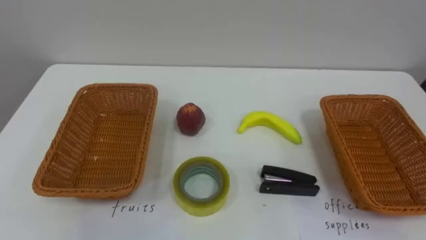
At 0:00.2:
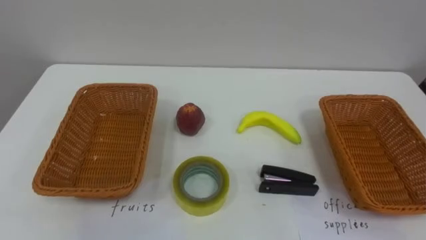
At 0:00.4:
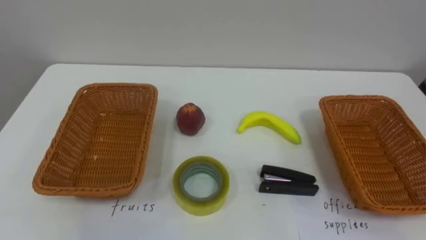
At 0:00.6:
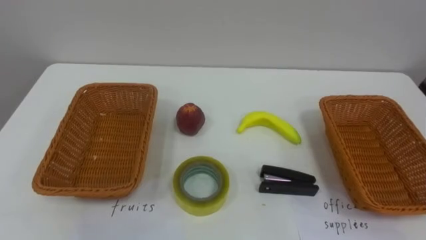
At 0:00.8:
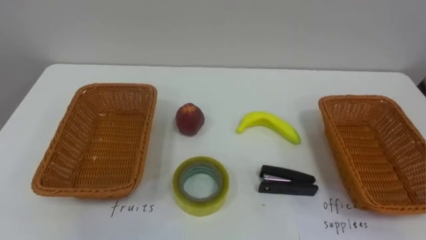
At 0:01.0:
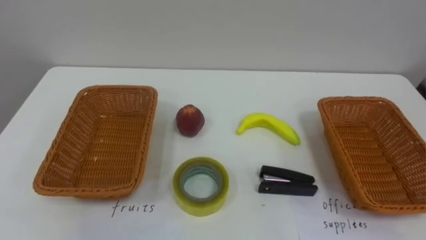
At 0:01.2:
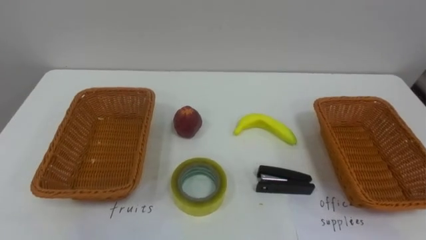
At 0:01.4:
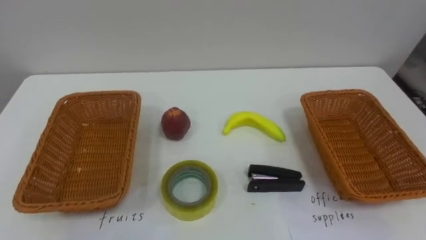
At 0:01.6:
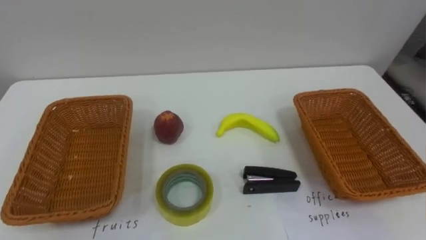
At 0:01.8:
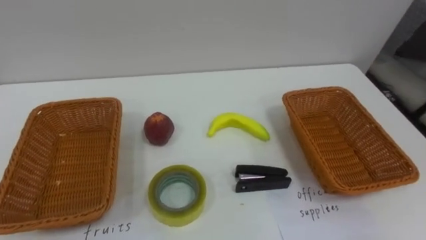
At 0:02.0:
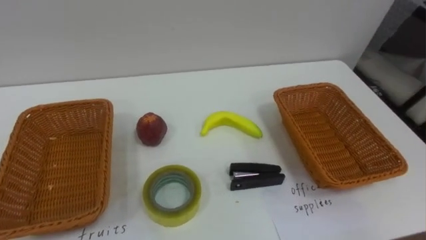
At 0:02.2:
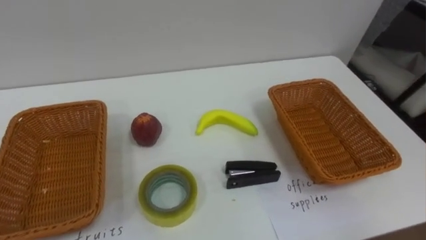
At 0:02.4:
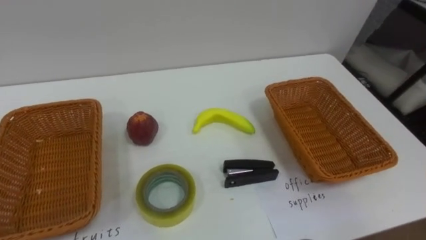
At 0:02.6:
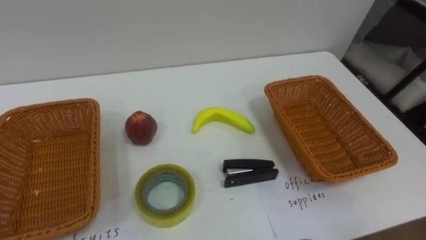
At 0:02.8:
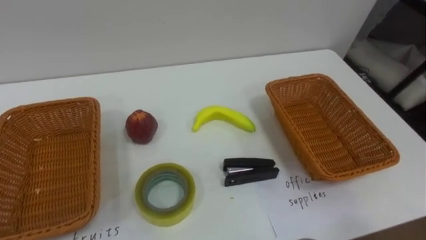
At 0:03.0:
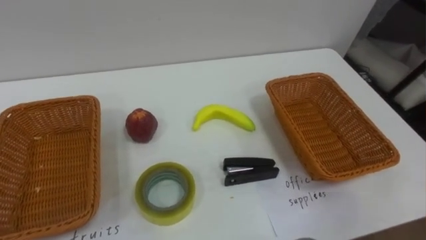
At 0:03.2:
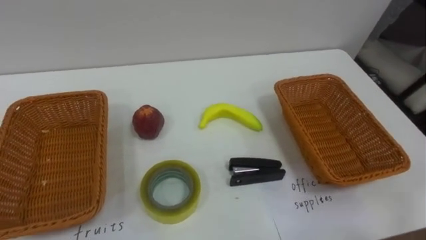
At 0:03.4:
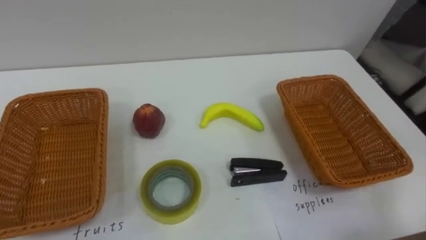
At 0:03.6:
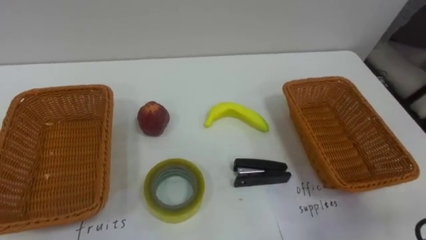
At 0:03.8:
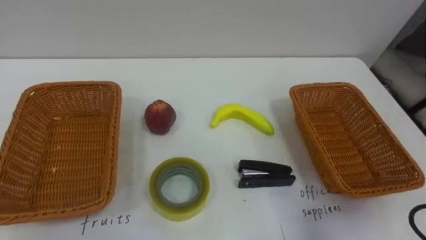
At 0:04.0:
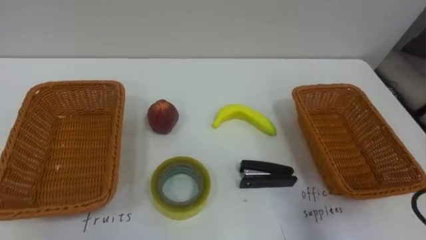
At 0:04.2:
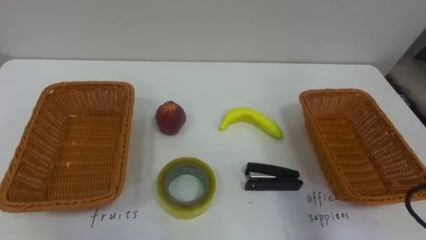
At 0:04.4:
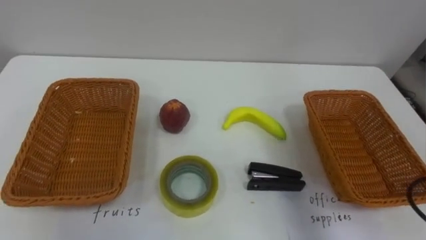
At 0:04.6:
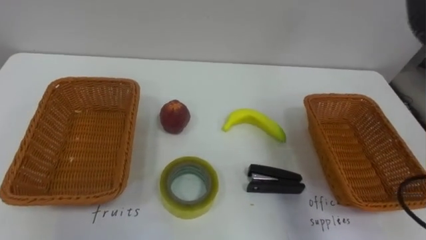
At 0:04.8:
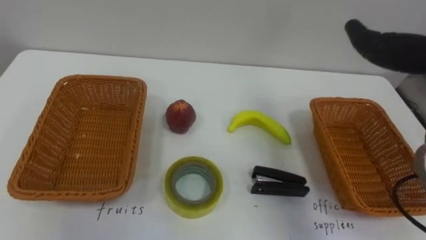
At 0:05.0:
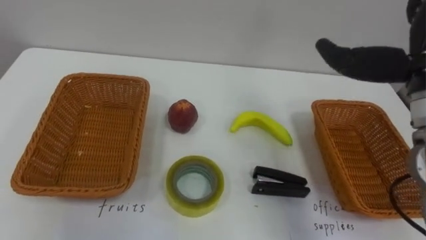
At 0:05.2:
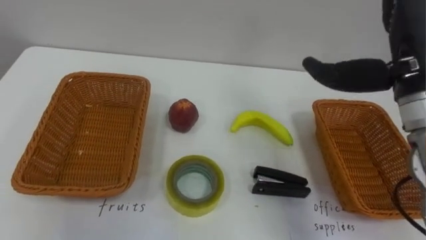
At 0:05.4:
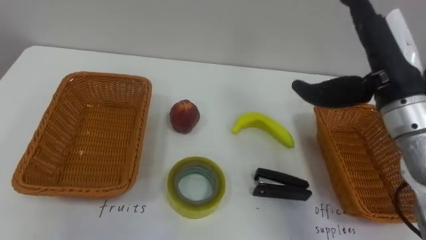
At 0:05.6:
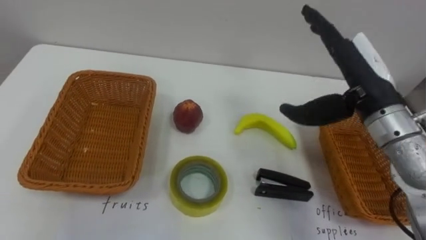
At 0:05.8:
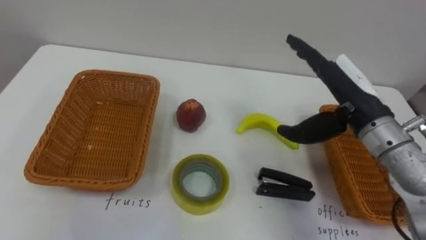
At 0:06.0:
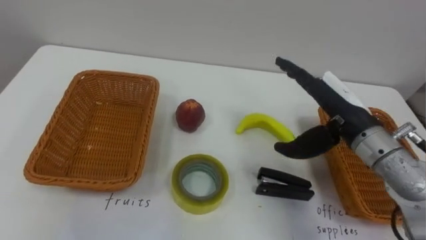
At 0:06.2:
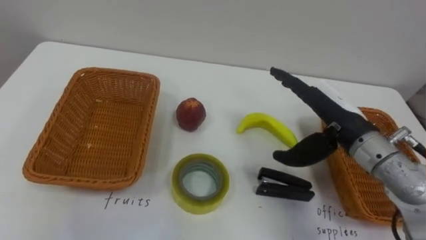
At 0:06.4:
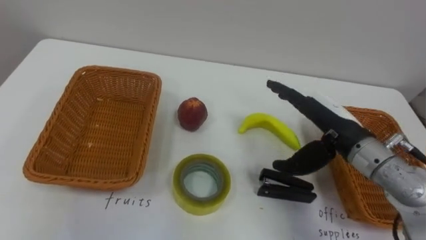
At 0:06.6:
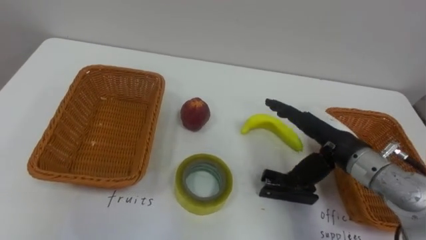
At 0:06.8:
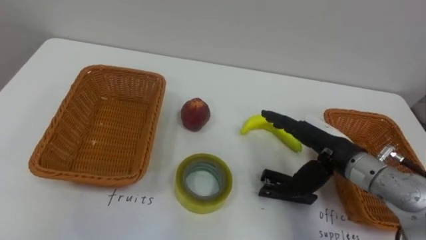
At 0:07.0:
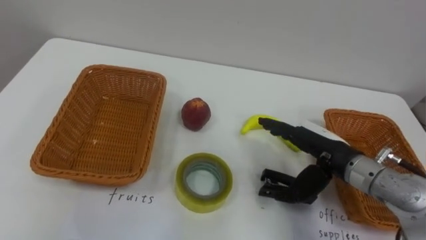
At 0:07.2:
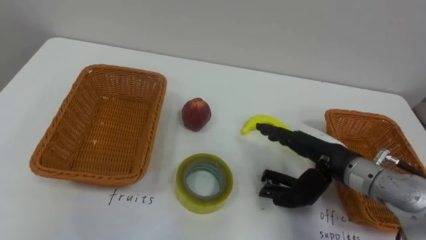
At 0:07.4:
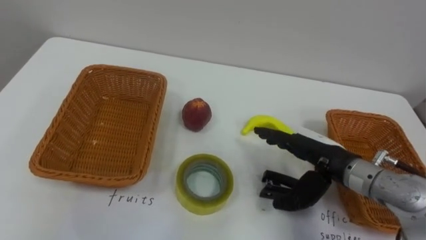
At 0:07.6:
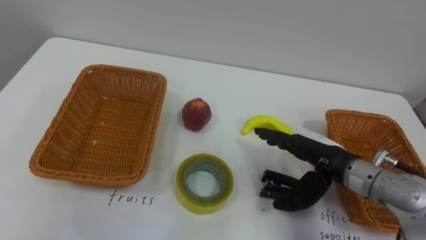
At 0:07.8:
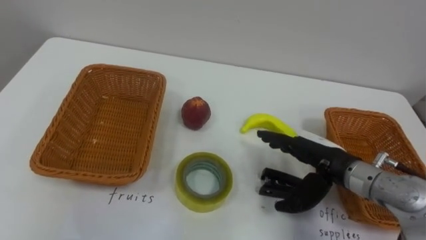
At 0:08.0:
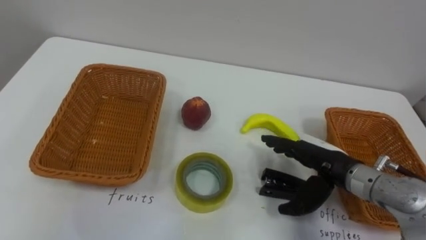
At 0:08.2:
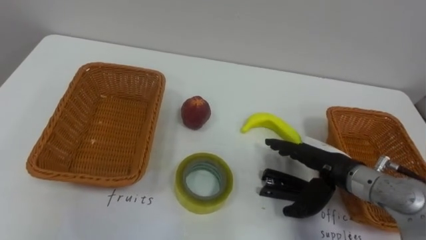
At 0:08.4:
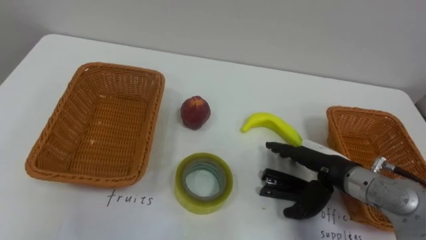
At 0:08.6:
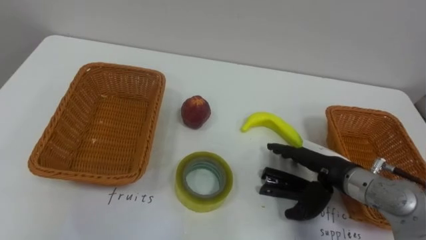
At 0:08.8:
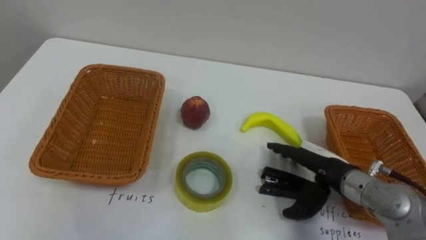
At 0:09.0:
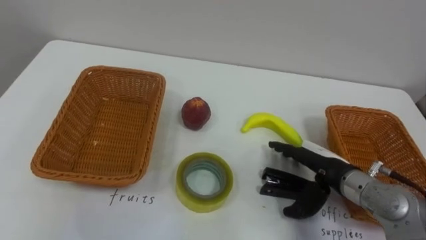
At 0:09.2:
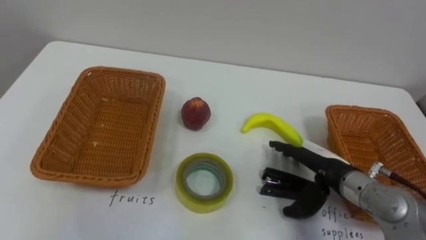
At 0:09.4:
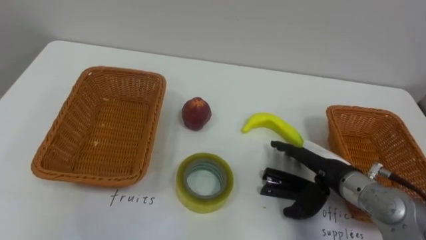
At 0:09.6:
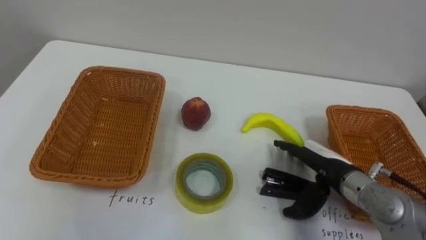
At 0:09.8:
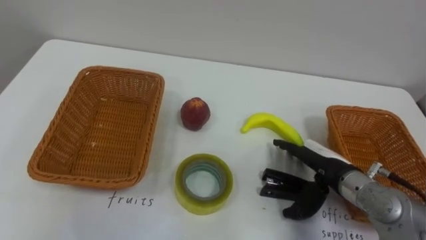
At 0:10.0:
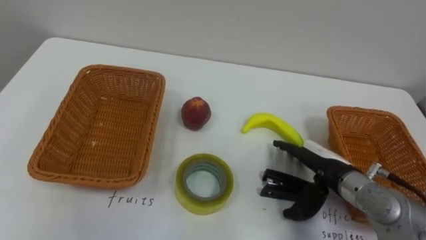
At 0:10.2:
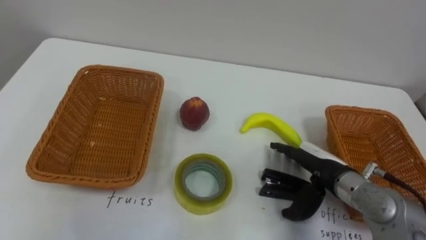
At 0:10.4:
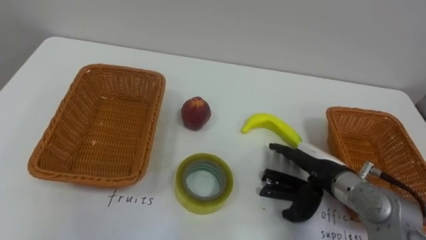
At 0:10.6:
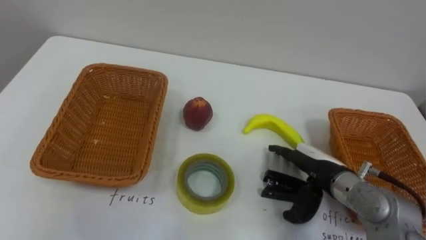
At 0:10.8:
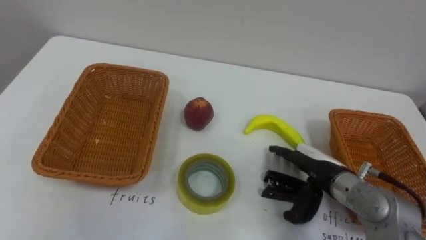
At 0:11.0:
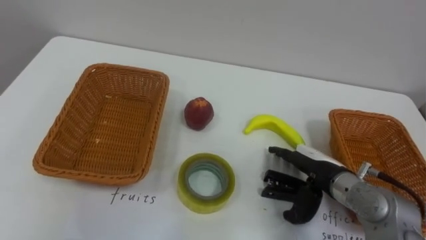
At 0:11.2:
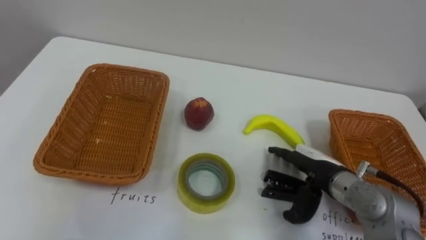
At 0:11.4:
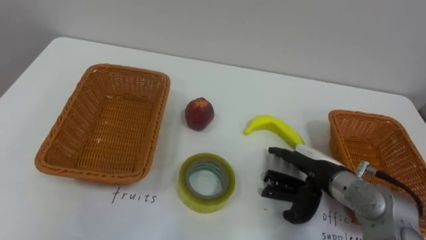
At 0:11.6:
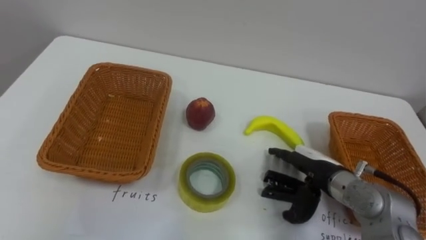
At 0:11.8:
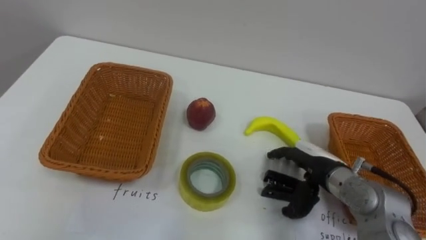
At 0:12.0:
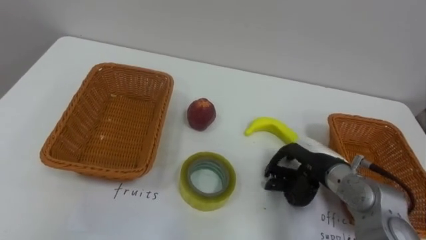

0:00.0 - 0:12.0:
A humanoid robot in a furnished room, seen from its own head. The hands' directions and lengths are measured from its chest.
Task of the whole recording: Separate the items on the table and place them into the two baskets.
0:06.0 - 0:07.6: The right hand goes about 10 cm downward.

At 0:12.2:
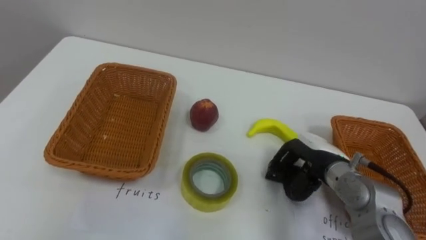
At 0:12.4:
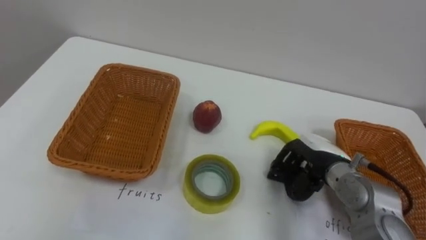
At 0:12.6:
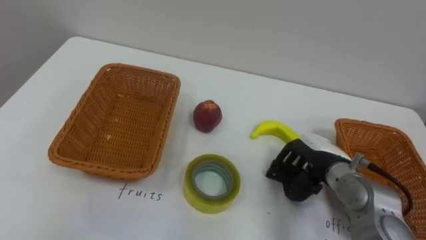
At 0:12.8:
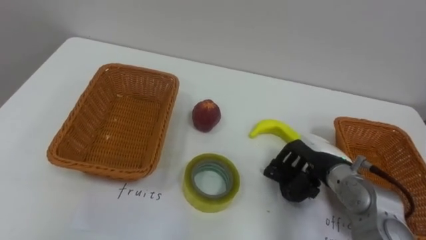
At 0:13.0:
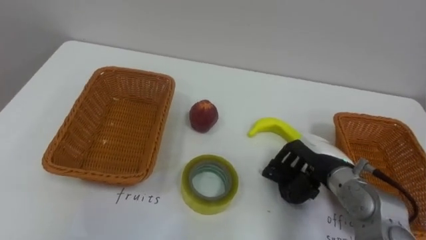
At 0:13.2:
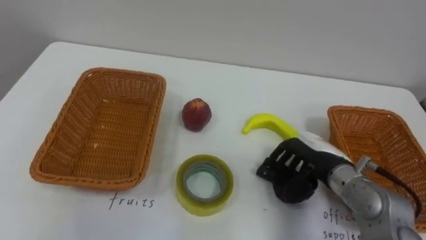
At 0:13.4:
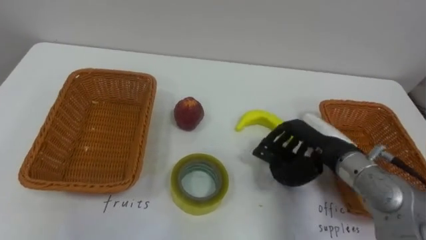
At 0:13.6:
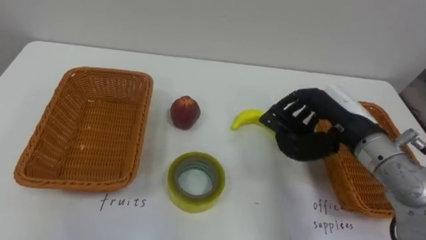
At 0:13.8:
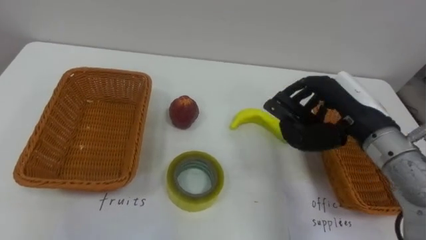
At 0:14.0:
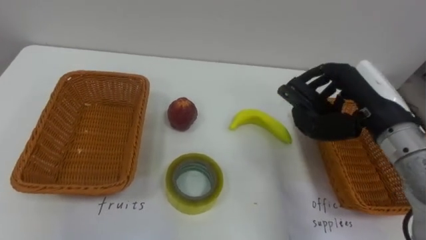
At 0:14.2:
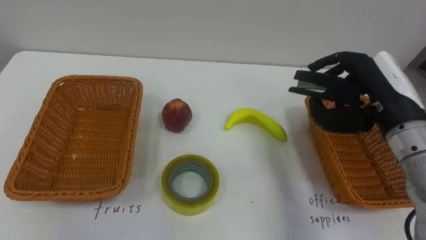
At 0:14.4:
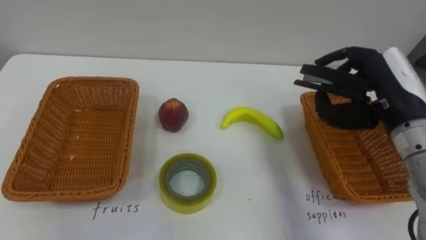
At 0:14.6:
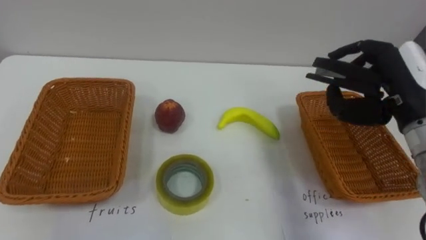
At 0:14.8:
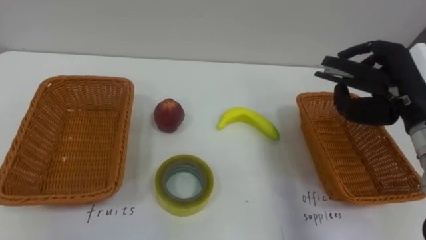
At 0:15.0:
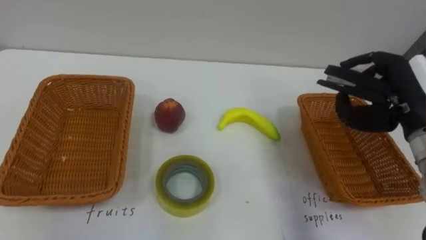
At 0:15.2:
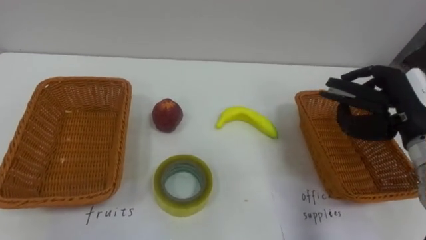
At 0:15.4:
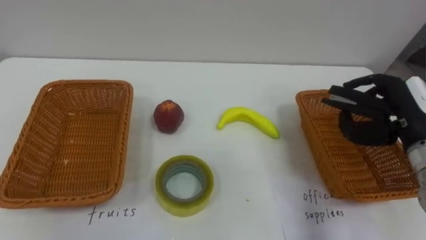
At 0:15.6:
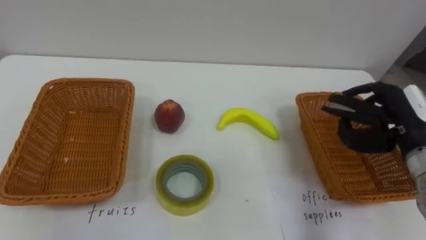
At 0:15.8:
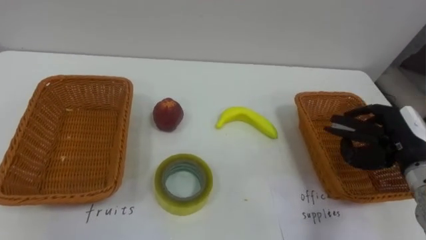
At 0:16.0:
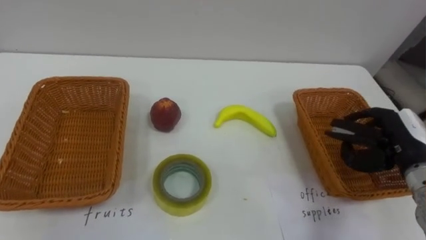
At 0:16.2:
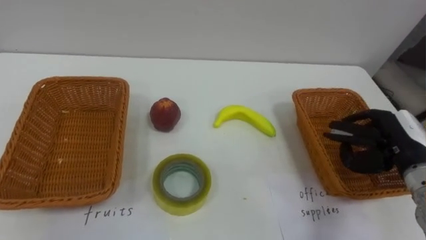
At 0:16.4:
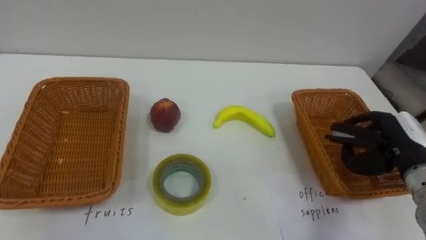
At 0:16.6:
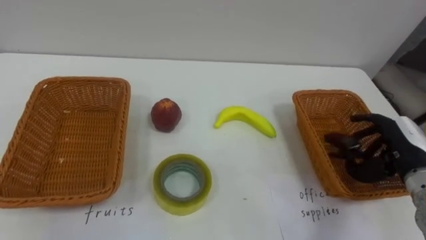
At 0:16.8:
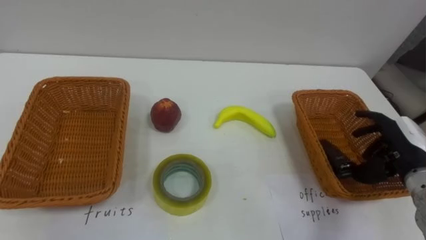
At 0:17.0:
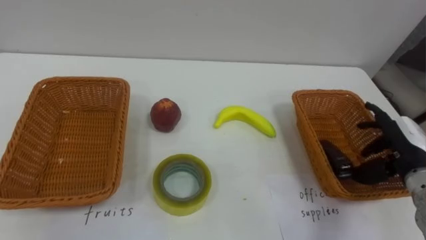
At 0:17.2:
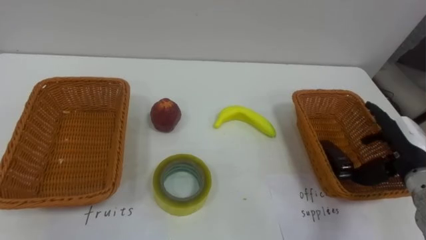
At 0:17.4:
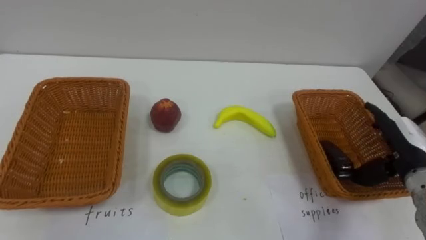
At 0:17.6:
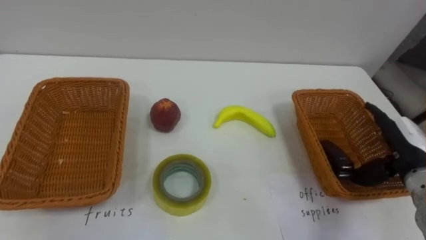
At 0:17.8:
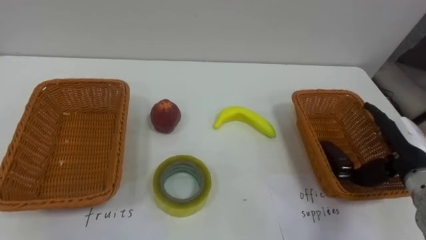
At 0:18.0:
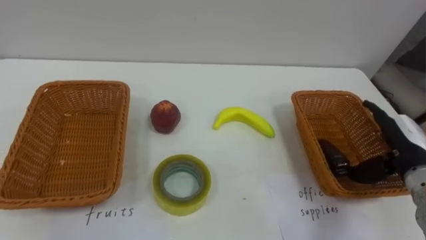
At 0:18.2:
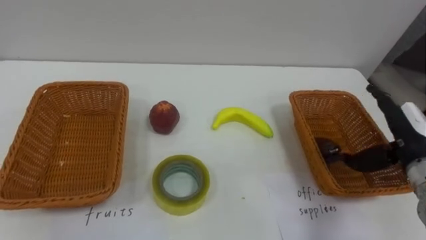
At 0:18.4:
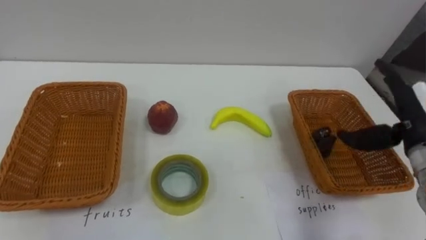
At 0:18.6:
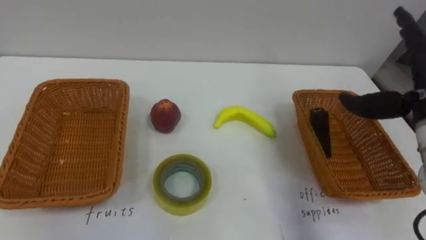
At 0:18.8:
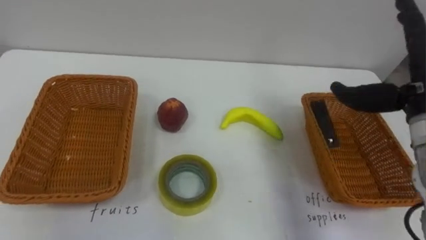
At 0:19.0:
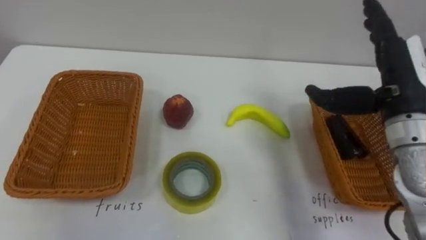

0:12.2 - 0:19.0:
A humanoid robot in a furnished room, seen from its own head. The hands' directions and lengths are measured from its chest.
Task of the whole recording: Separate the items on the table and place them into the two baskets.
0:12.2 - 0:13.6: The right hand goes some 10 cm upward.
0:13.6 - 0:15.0: The right hand moves to the right, some 10 cm.
0:15.0 - 0:16.2: The right hand travels downward by about 10 cm.
0:16.2 - 0:17.6: The right hand opens.
0:17.6 - 0:19.0: The right hand moves upward and to the left, about 15 cm.
